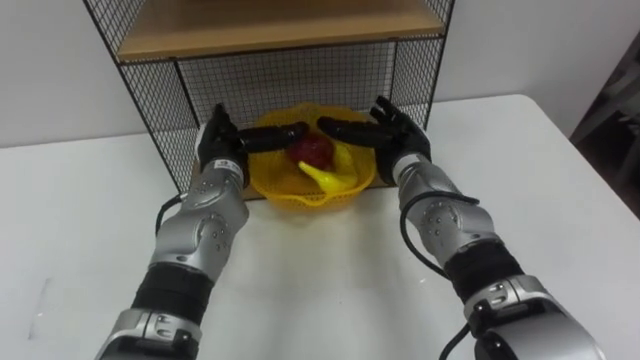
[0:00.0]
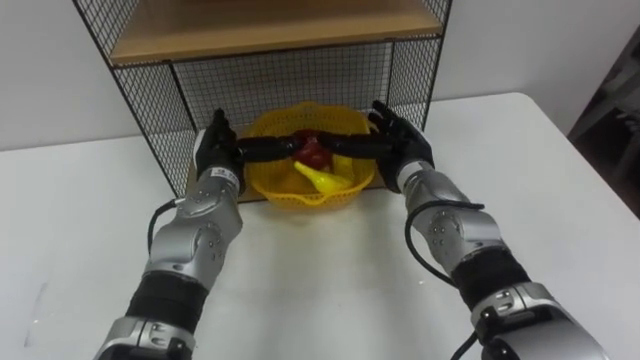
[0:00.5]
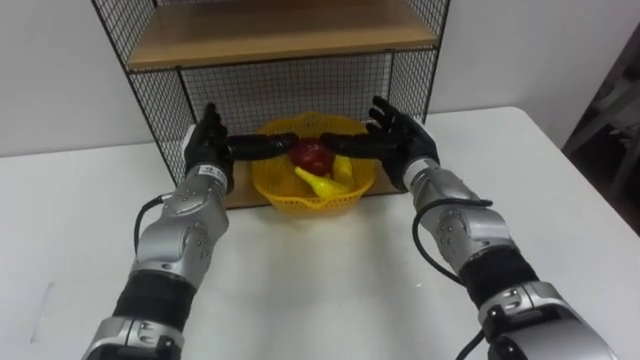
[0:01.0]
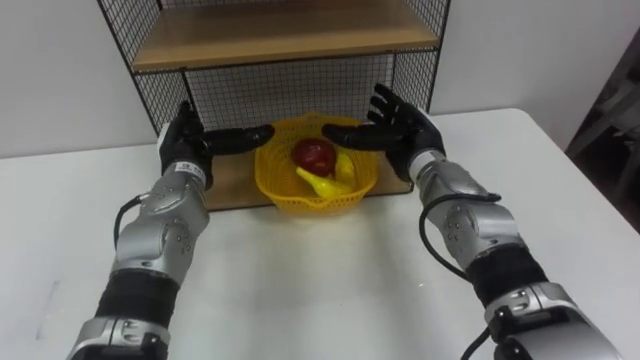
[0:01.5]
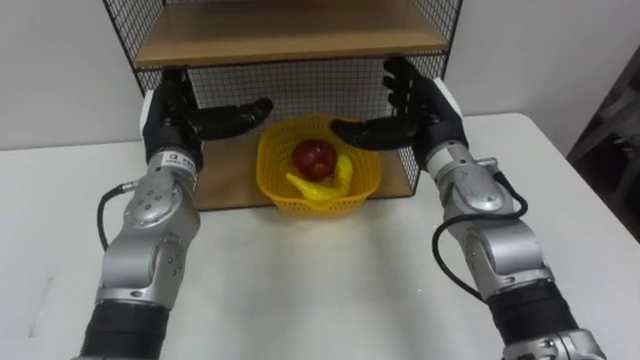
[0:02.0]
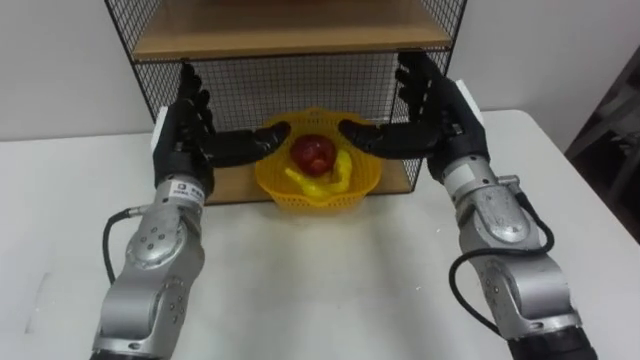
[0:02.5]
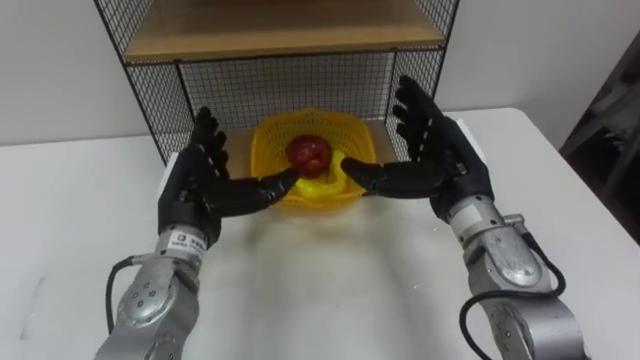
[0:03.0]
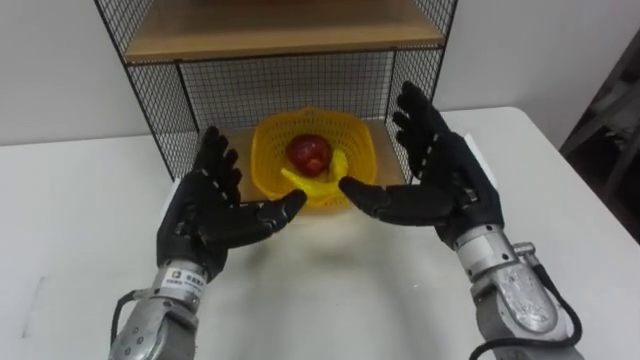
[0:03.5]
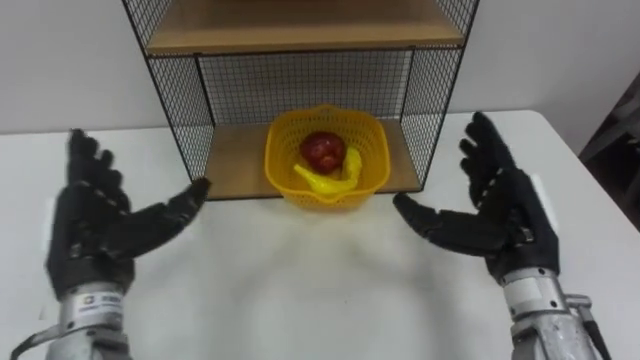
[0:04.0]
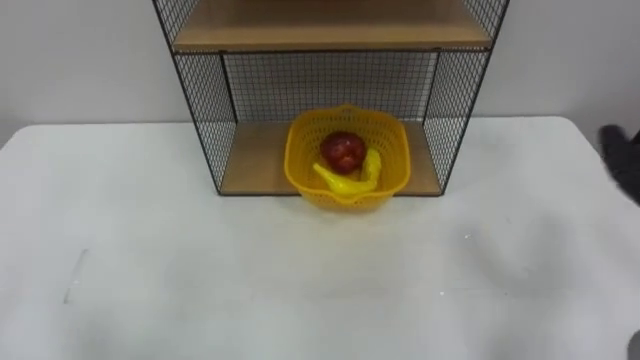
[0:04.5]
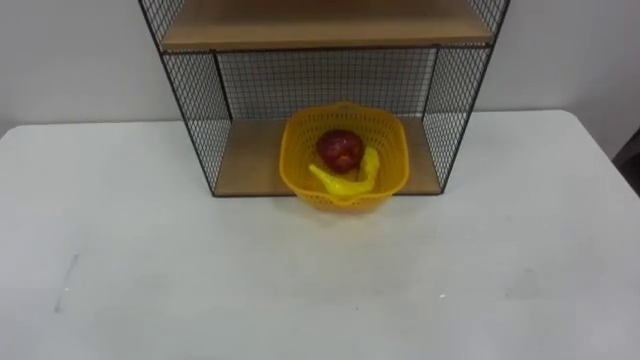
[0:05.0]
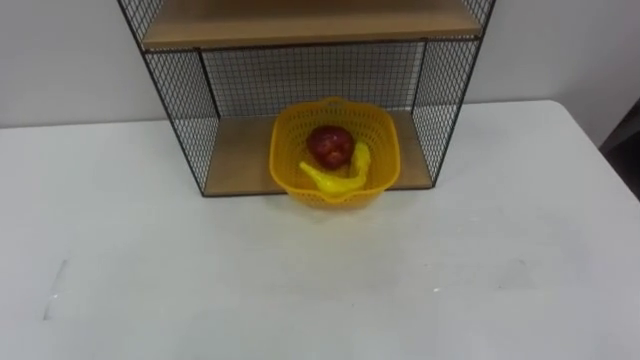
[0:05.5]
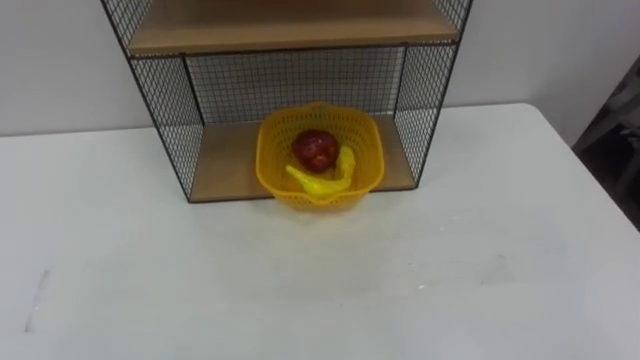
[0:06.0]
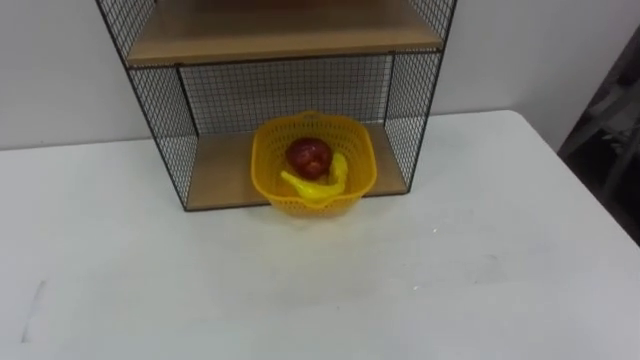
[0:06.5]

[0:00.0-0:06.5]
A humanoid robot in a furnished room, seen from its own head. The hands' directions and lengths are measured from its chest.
Task of the whole recording: Put the fruit on the table into the basket, then place the basket on the shelf.
0:00.0 to 0:02.0: The right hand travels upward by about 5 cm, while the left hand shifts roughly 10 cm to the left and upward.

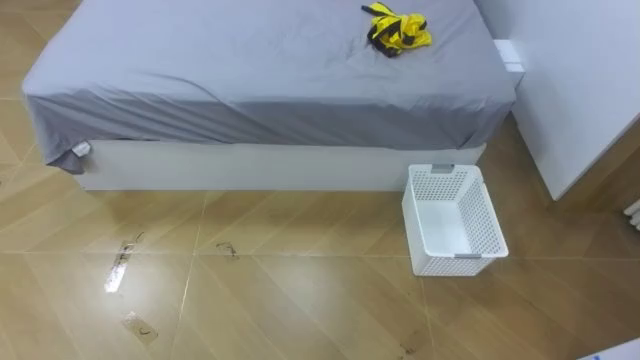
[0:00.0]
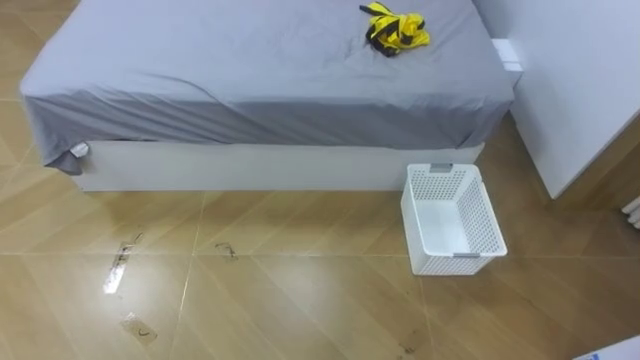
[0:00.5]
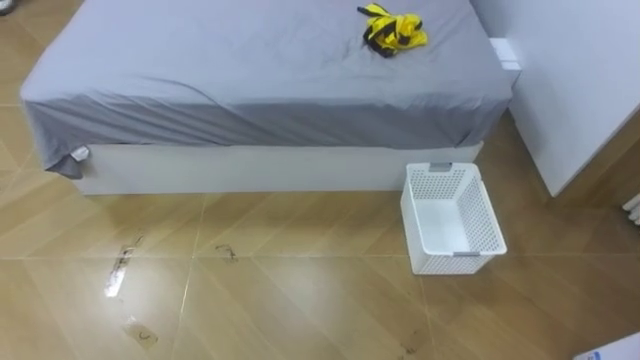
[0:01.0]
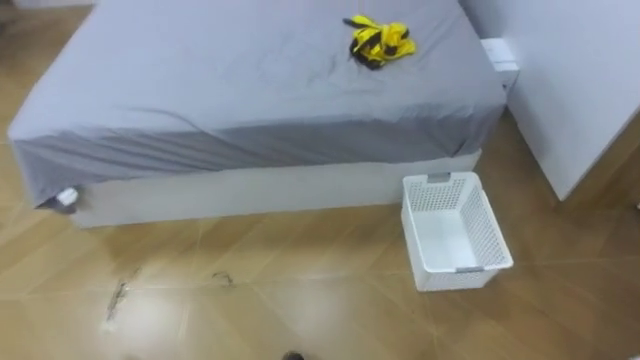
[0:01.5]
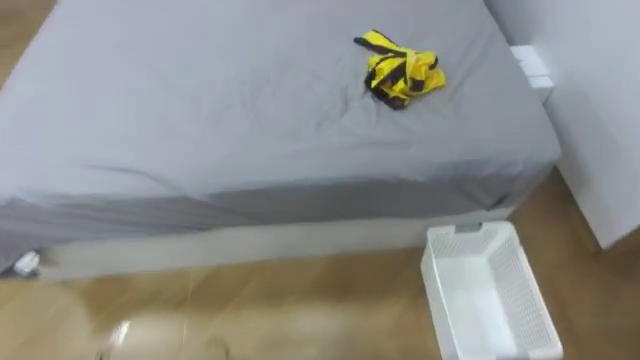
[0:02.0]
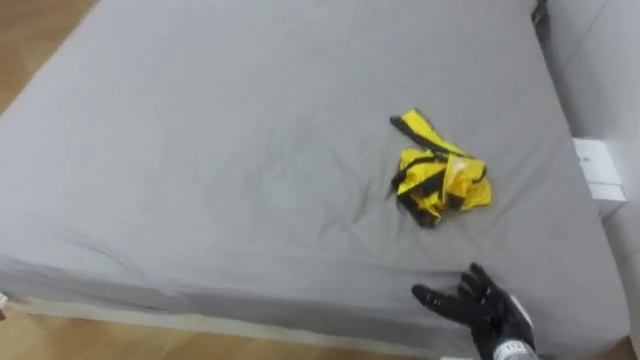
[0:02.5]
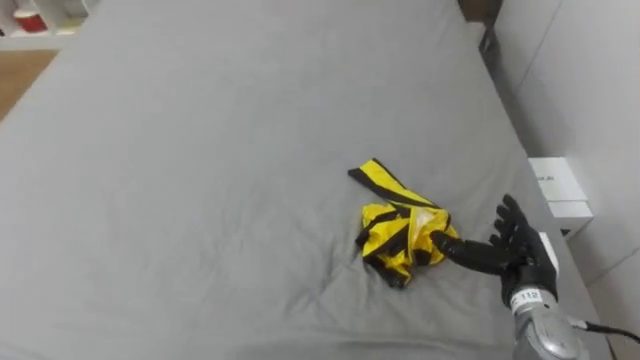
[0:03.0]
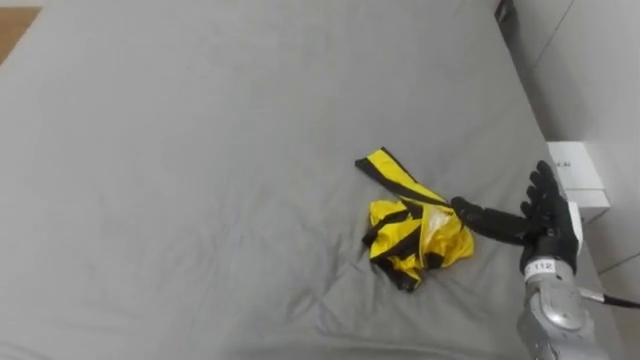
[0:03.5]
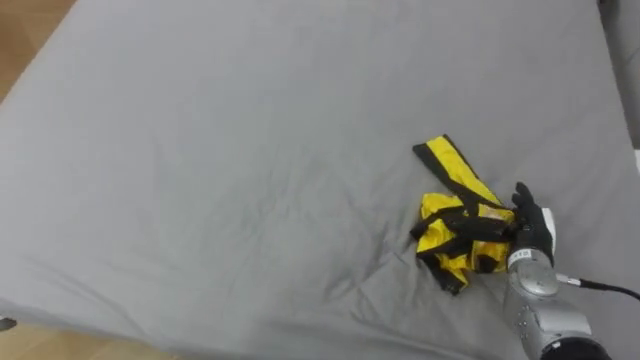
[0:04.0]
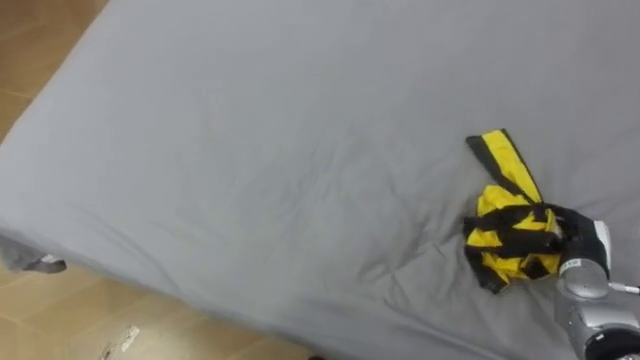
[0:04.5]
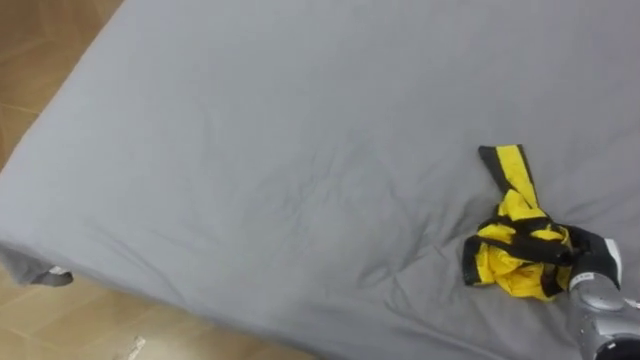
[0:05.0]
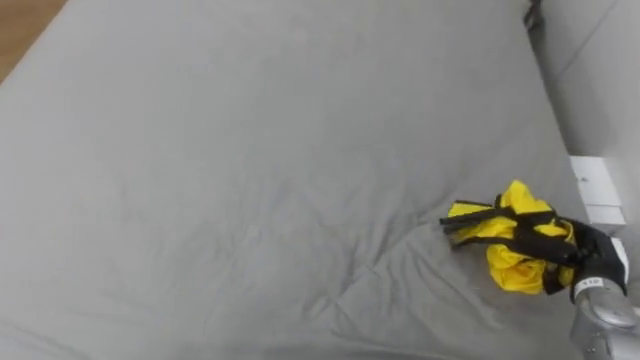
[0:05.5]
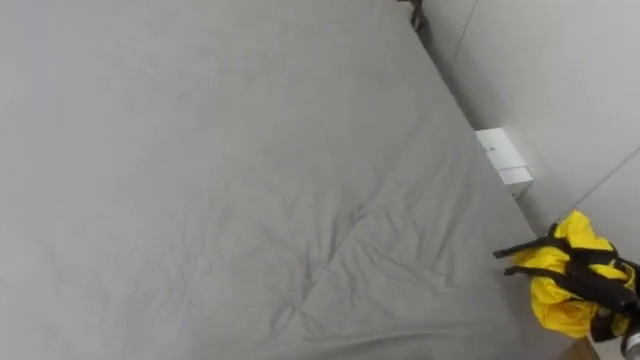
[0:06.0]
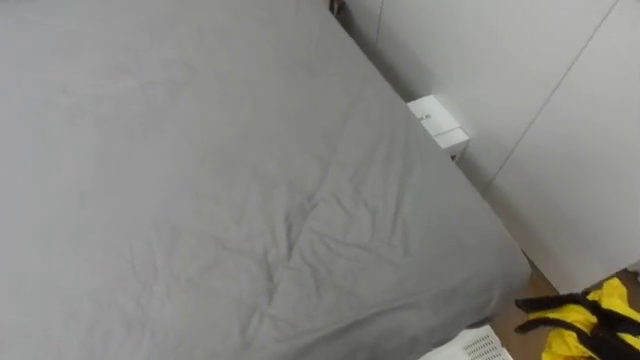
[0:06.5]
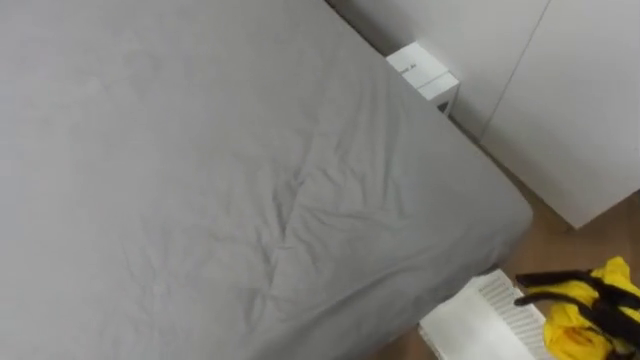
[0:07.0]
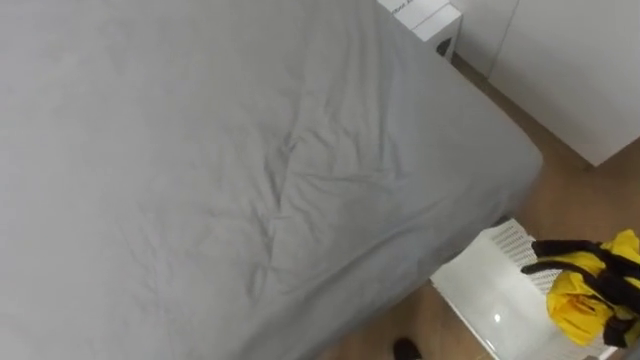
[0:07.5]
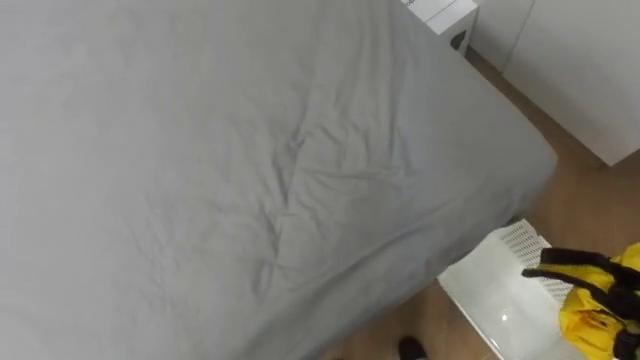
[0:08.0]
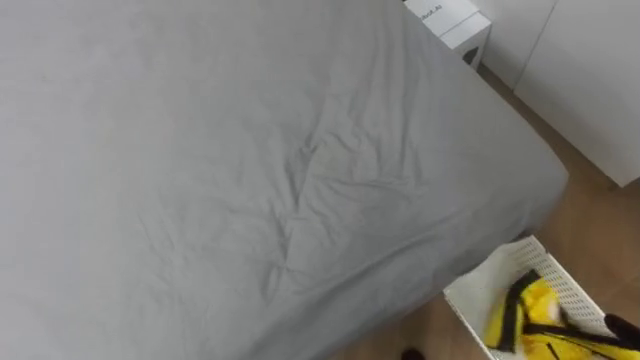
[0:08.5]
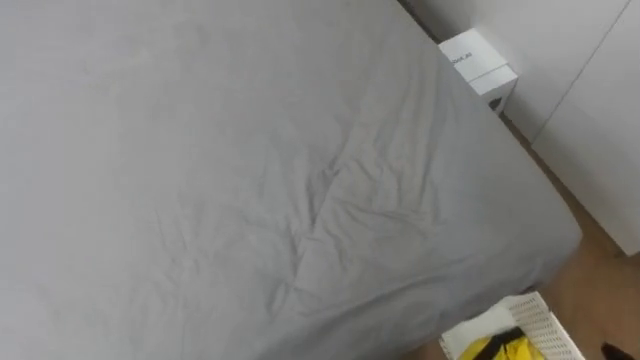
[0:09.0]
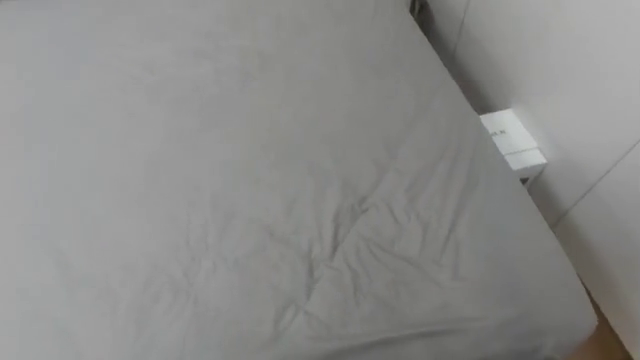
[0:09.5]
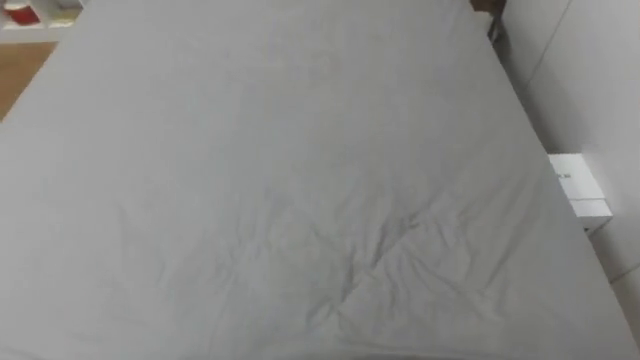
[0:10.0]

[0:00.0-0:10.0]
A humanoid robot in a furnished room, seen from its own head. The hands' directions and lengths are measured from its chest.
Task of the whole recording: Pick up the yellow clothes on the bed and place them into the white basket on the right.
0:04.0 to 0:06.0: The right hand is displaced to the right and backward by approximately 15 cm, and closes its fingers.
0:08.0 to 0:10.0: The robot rotates some 20 degrees to its left.

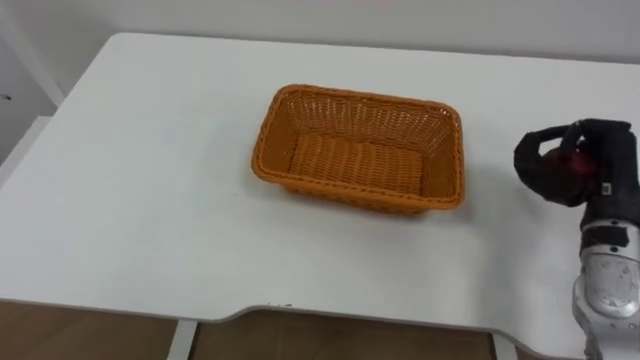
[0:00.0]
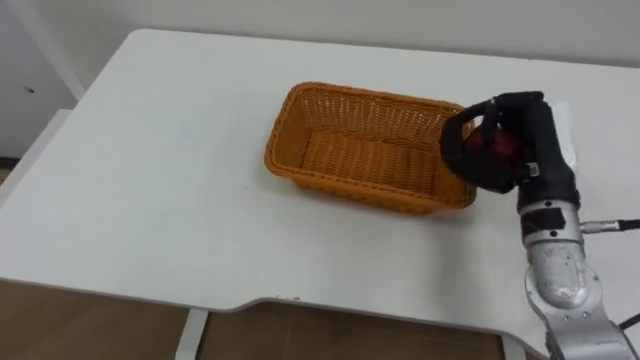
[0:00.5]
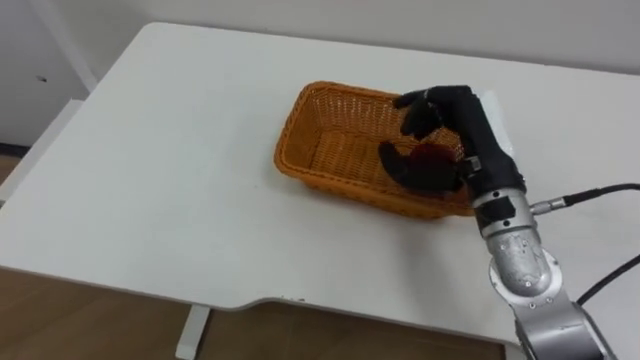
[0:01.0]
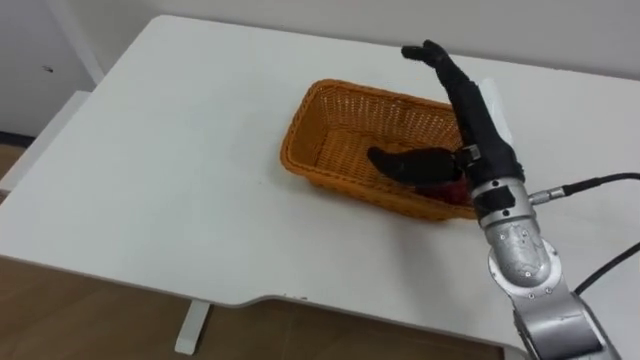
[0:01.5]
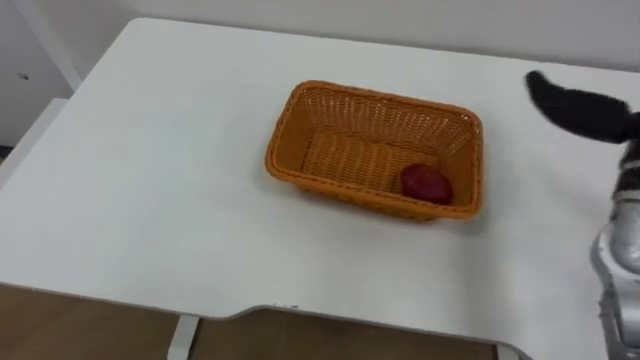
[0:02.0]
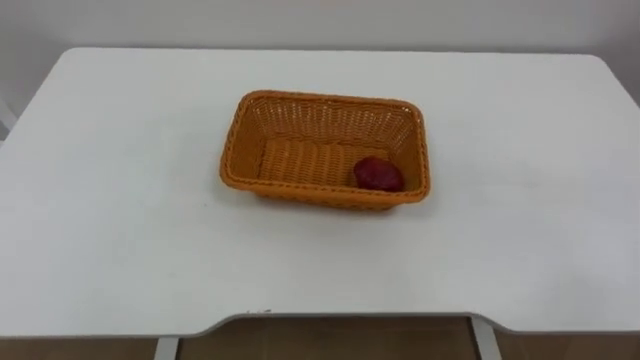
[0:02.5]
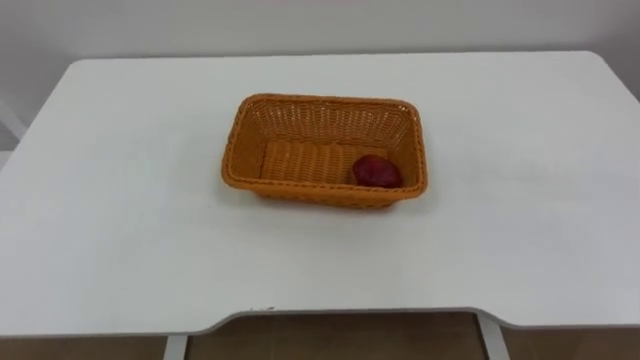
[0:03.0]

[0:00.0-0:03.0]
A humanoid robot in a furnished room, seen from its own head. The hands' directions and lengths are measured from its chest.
Task of the whole recording: Pick the apple and place it in the box.
0:00.0 to 0:01.5: The right hand travels to the left by some 15 cm, and opens.
